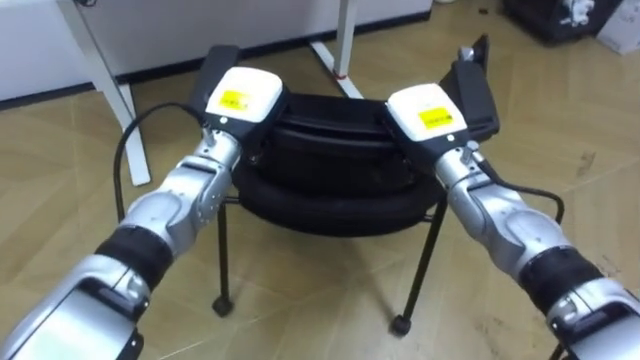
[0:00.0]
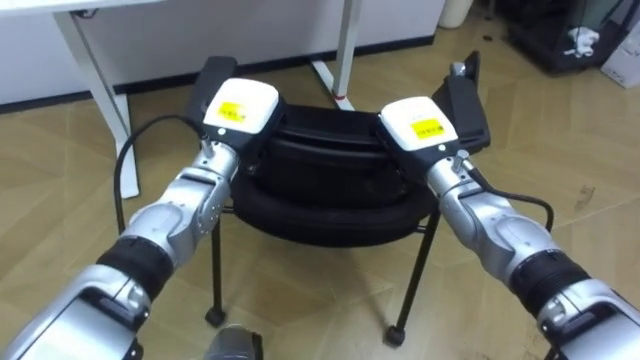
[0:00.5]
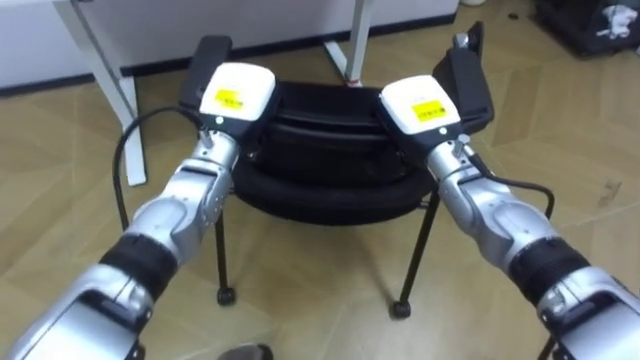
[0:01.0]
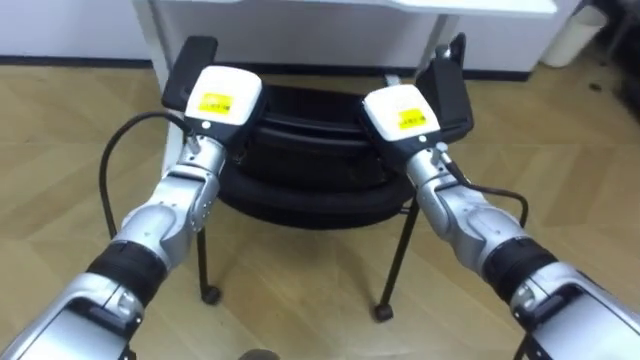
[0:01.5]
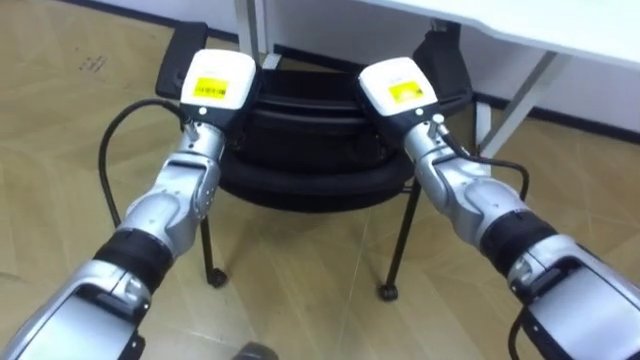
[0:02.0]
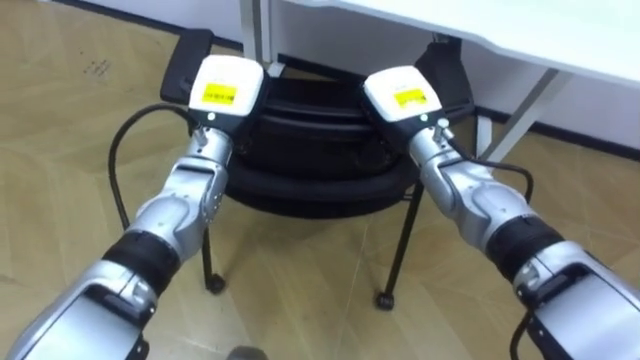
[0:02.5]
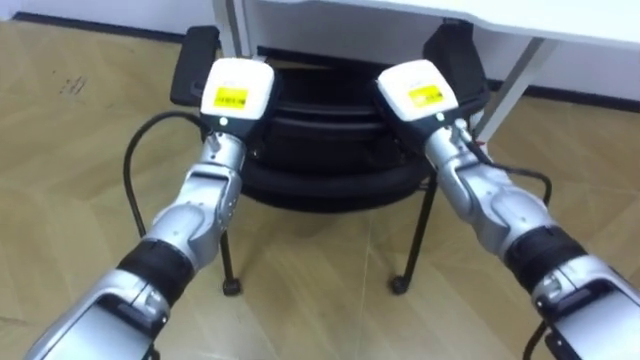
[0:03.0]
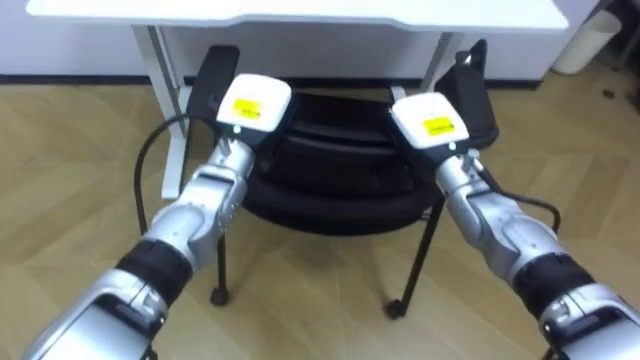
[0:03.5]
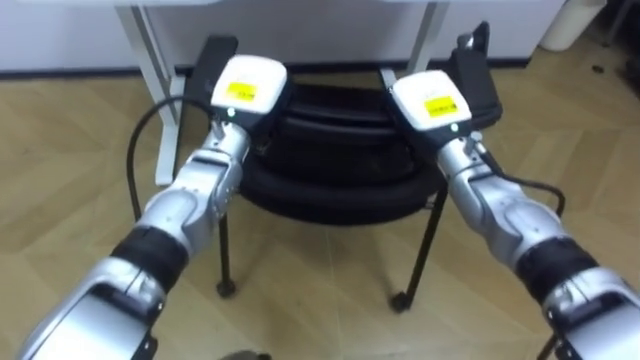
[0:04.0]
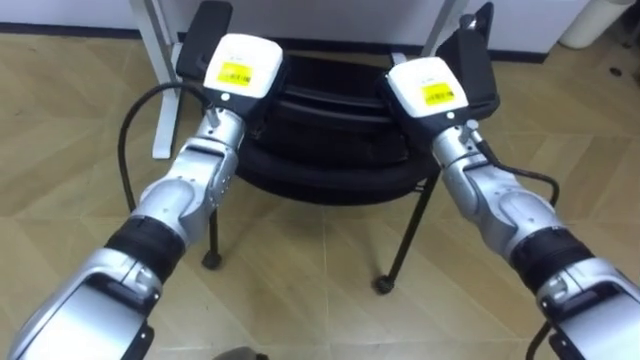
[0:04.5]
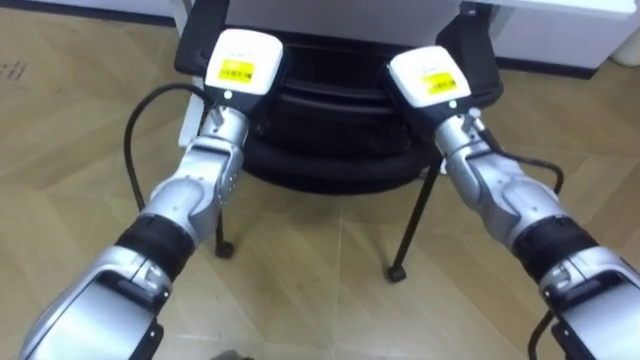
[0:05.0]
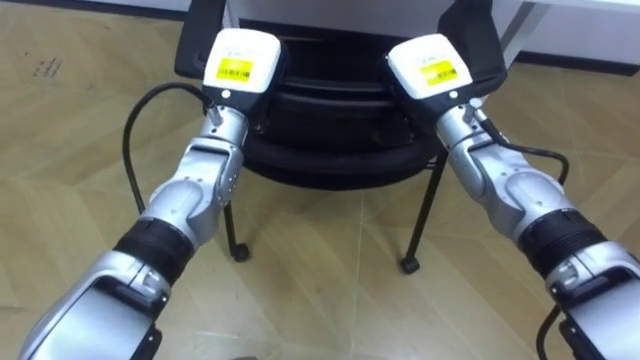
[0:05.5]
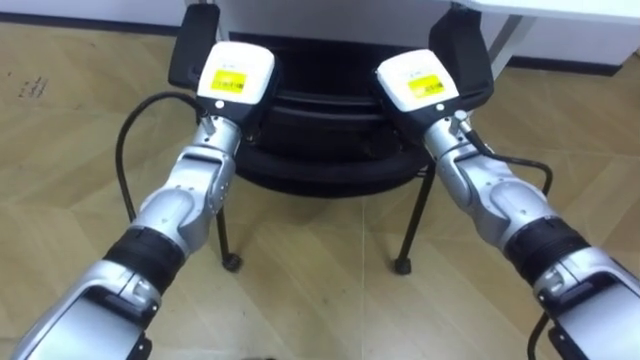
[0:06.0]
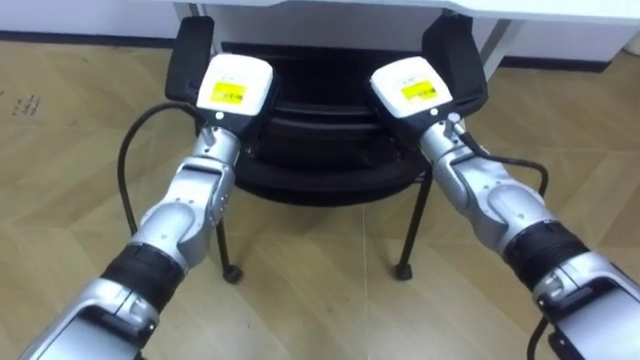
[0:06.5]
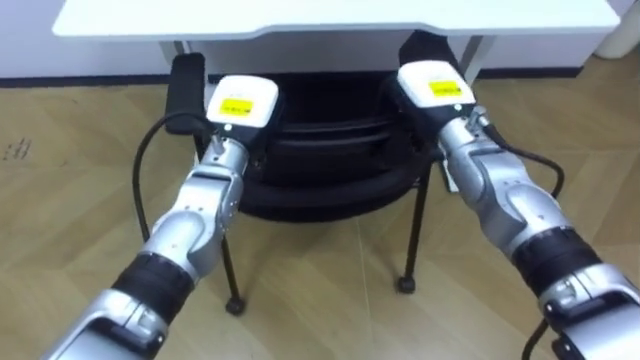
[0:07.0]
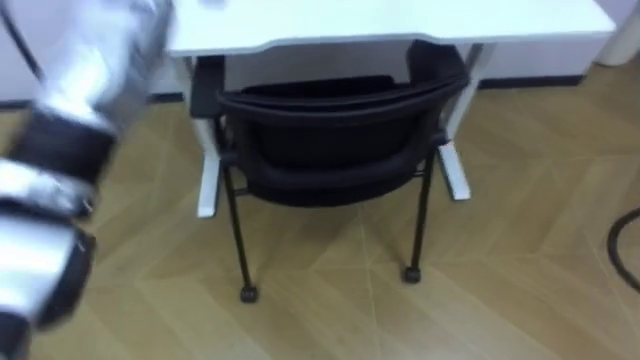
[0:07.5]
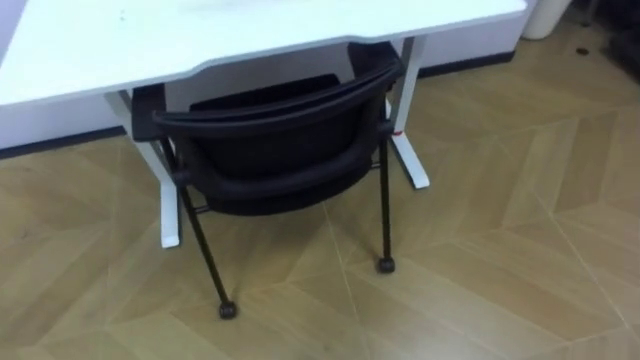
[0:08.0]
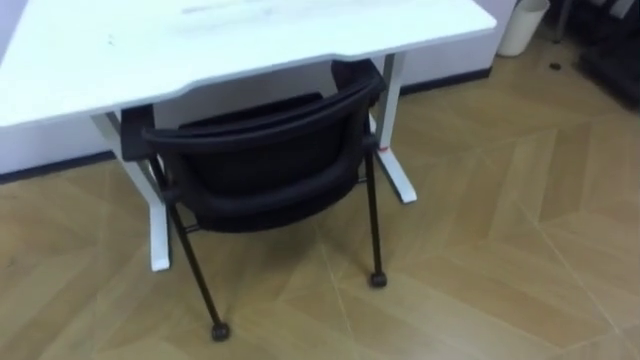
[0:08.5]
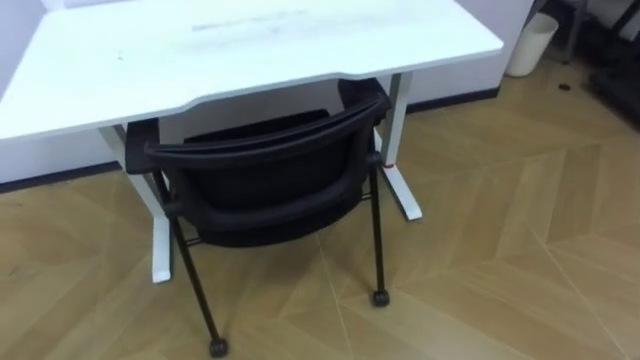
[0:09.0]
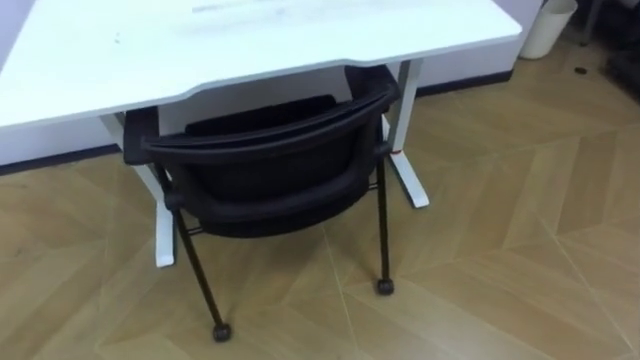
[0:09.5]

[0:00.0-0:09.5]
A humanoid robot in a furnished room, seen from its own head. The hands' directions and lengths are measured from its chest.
Task of the whole recording: Push the chair under the table.
0:00.0 to 0:02.0: The robot rotates about 25 degrees to its left. The right hand changes place by approximately 5 cm.
0:04.0 to 0:05.5: The robot faces approximately 15 degrees further to its left.

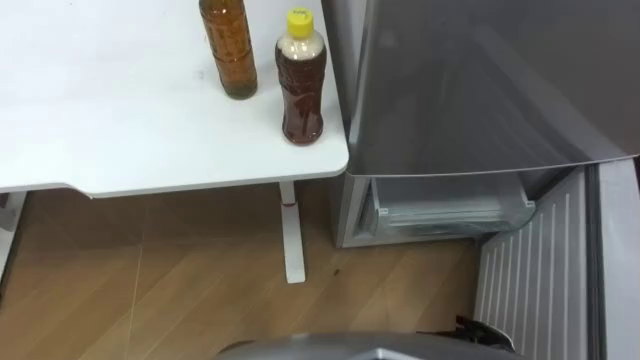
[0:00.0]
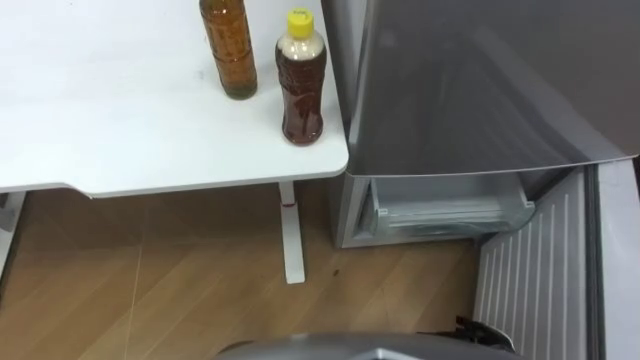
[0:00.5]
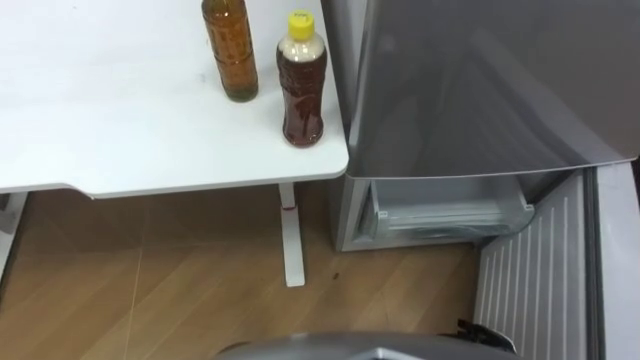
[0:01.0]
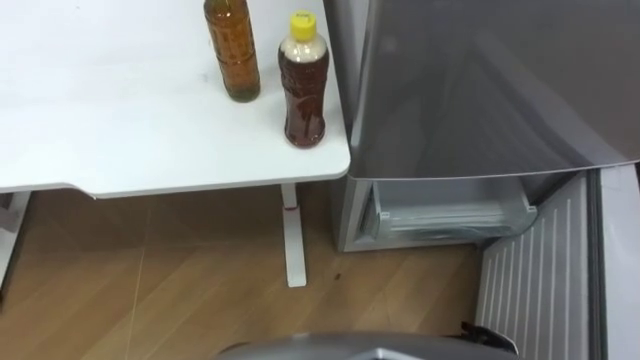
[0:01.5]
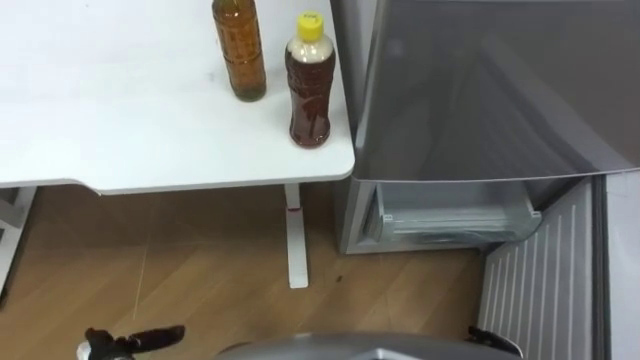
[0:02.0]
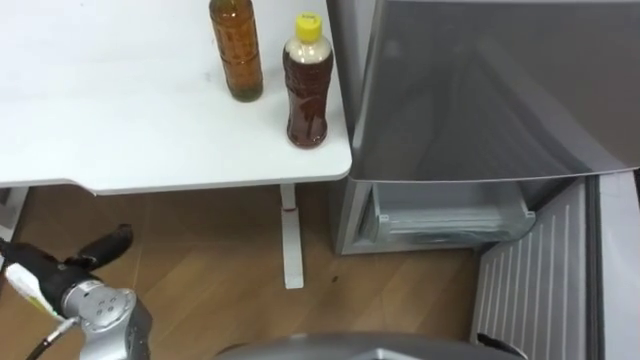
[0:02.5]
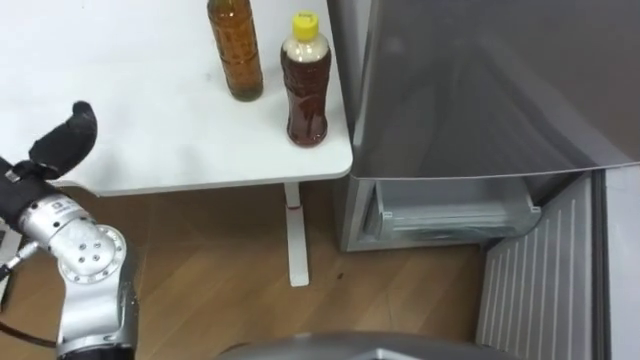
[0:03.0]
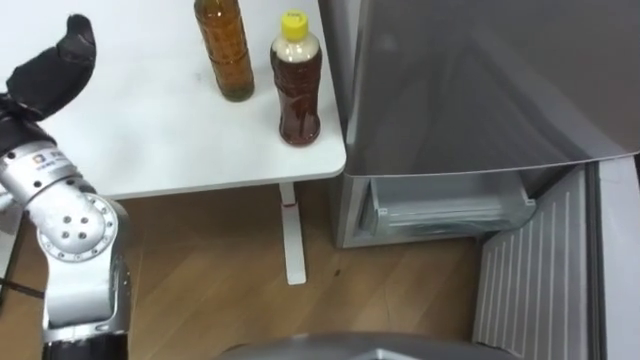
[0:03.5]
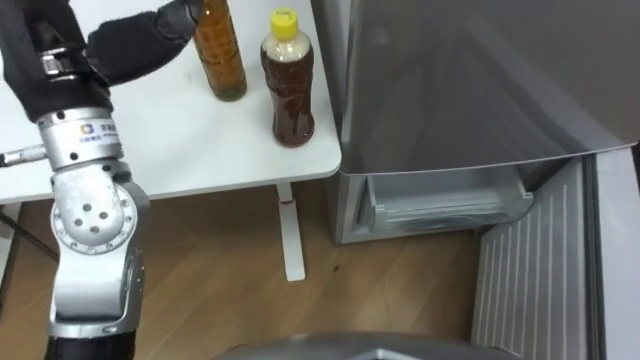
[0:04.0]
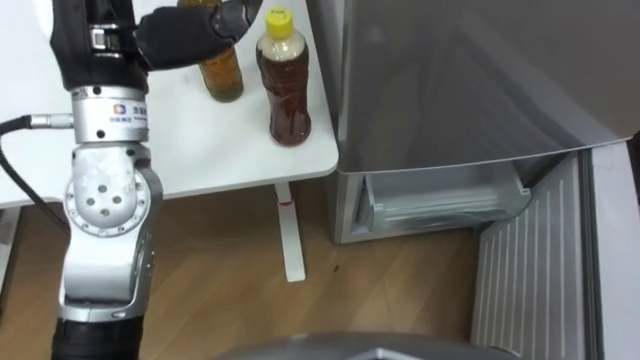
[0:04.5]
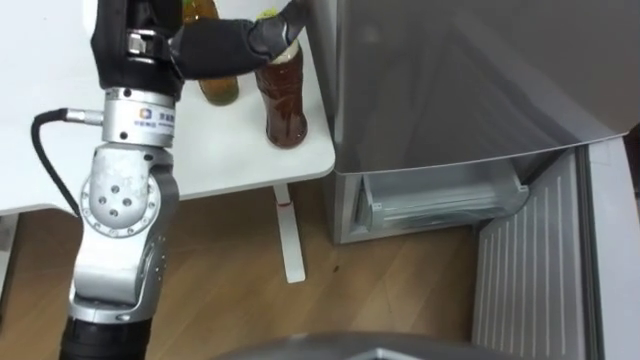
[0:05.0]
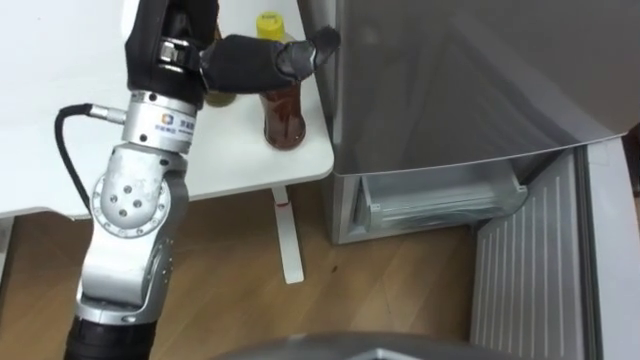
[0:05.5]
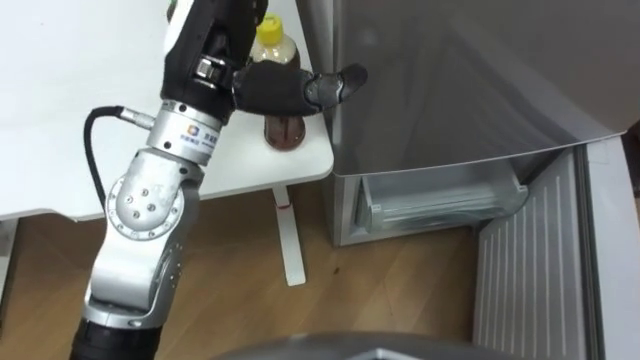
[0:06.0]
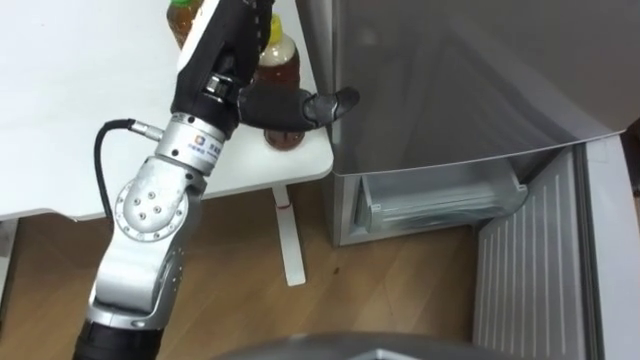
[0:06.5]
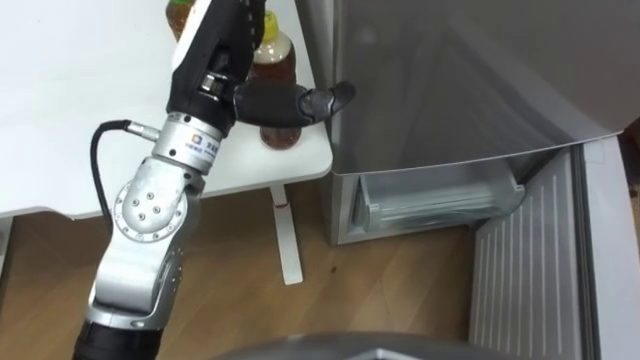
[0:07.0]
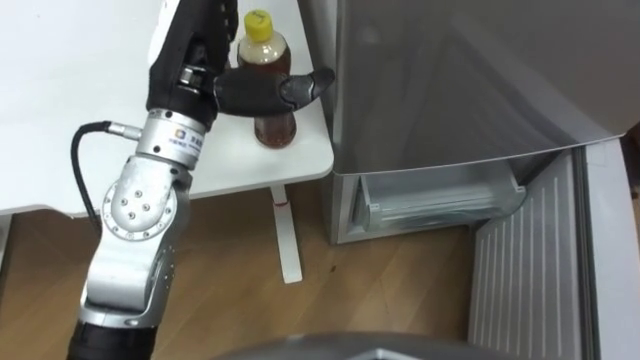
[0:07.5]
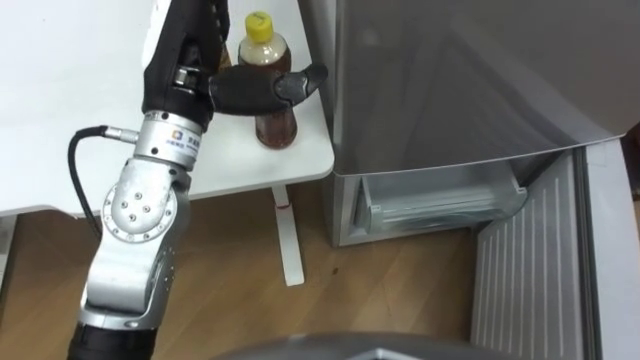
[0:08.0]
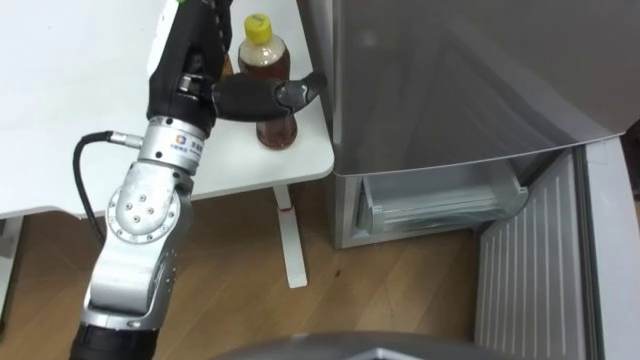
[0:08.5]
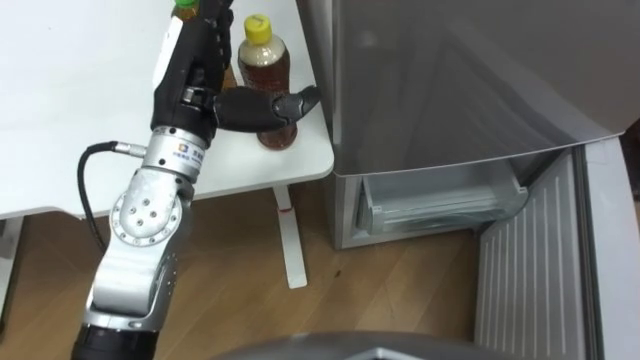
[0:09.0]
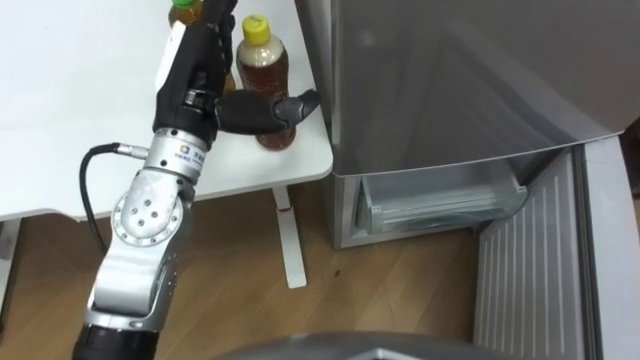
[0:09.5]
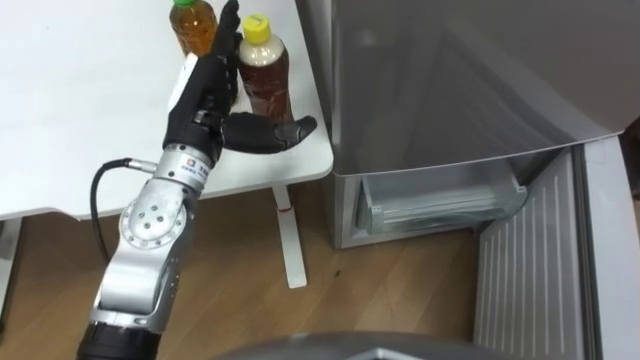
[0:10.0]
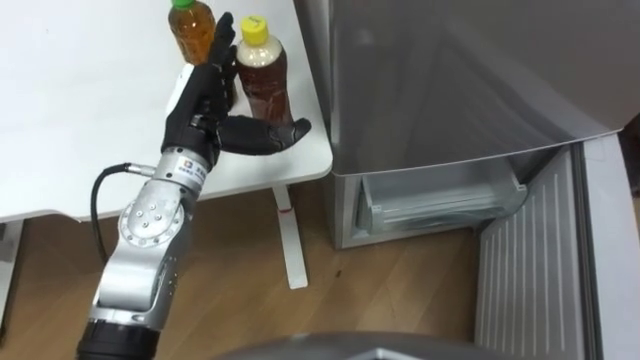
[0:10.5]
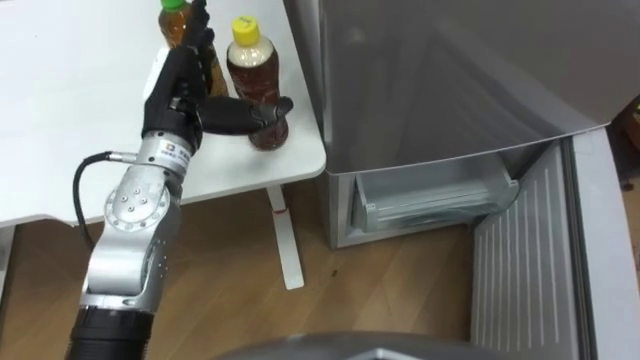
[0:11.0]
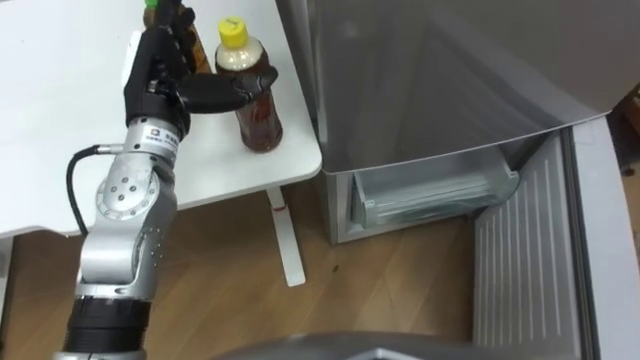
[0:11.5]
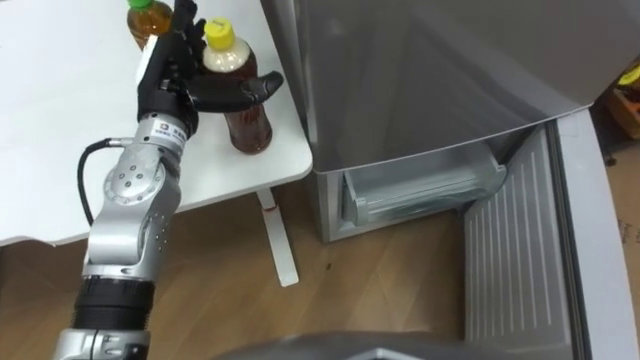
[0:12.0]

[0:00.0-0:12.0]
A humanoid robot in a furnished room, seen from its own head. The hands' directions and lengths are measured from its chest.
Task of the whole recording: Place the drink on the table on the bottom shelf of the refrigerator, then close the drawer and the refrigerator door.
0:04.0 to 0:06.0: The left hand goes some 10 cm to the right.
0:08.0 to 0:10.0: The left hand heads downward, covering about 10 cm.
0:10.0 to 0:12.0: The left hand changes place by roughly 5 cm.
